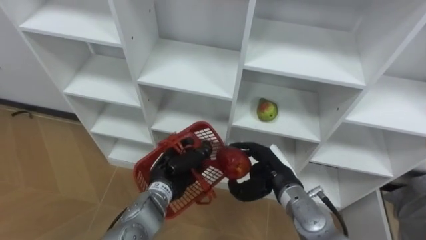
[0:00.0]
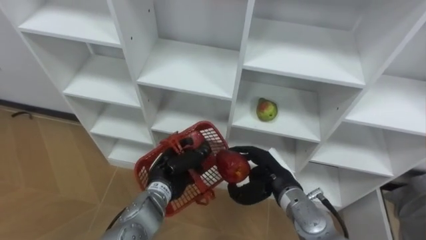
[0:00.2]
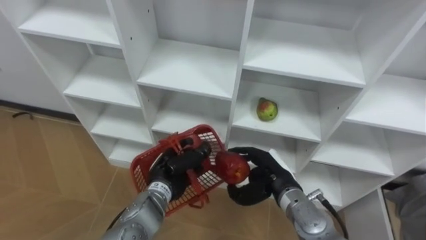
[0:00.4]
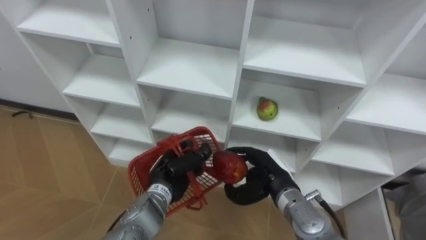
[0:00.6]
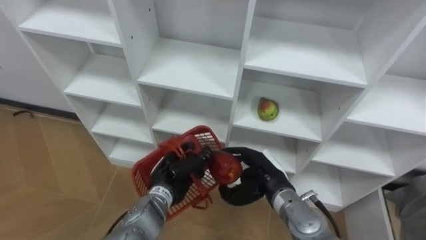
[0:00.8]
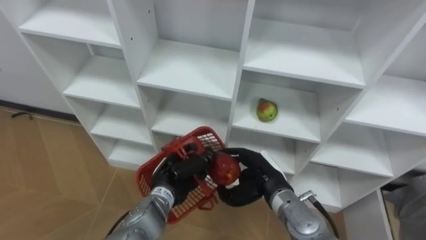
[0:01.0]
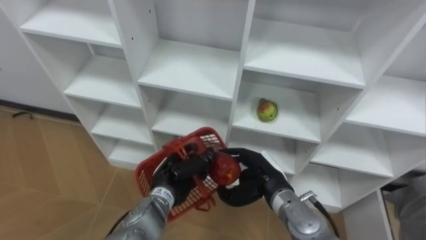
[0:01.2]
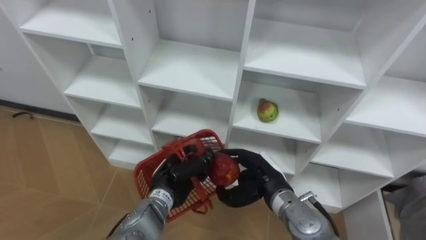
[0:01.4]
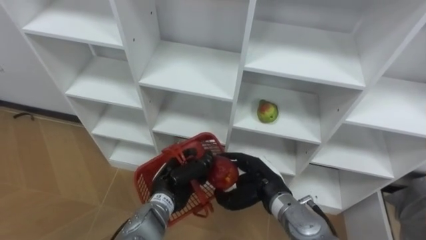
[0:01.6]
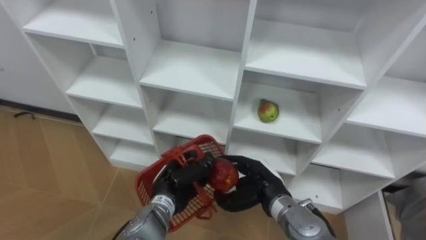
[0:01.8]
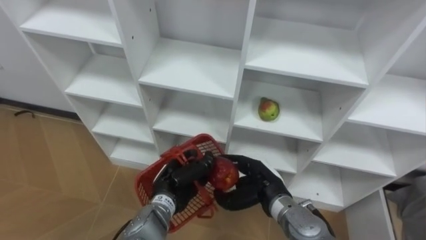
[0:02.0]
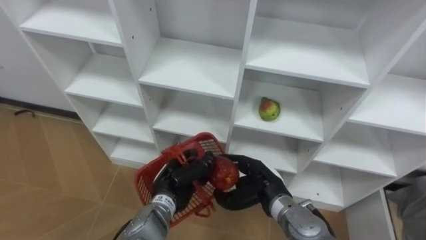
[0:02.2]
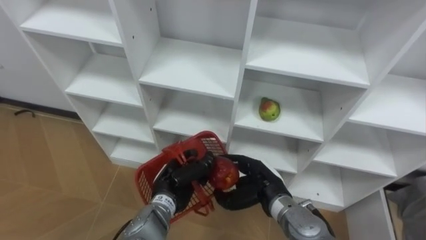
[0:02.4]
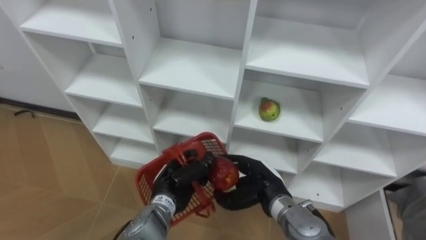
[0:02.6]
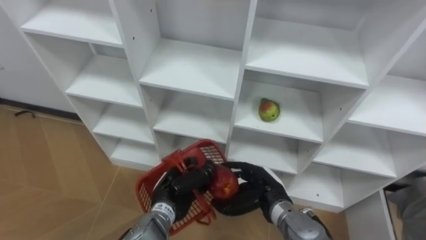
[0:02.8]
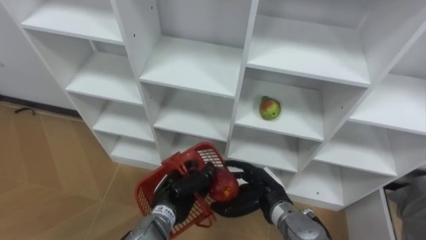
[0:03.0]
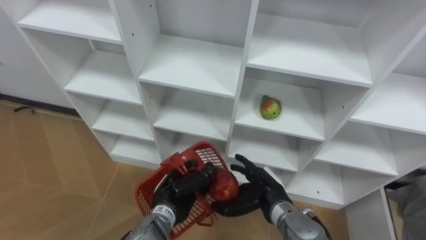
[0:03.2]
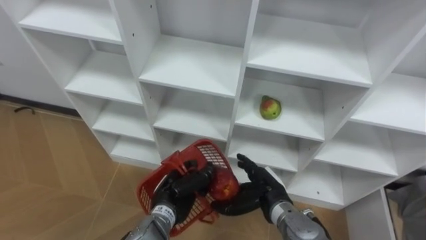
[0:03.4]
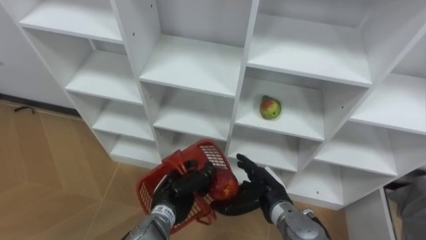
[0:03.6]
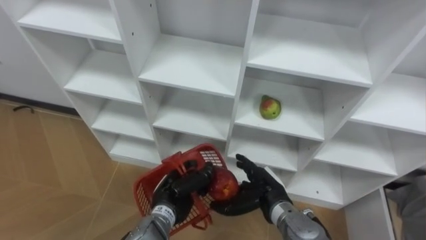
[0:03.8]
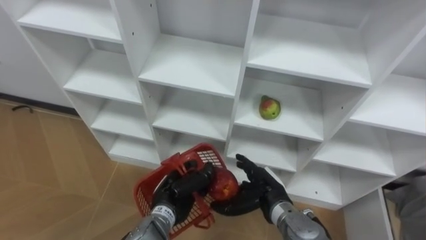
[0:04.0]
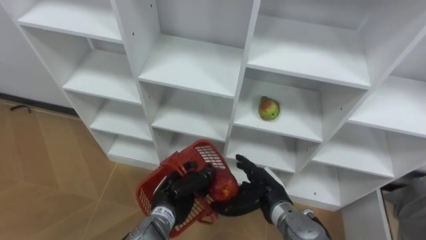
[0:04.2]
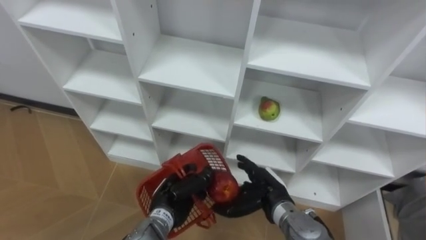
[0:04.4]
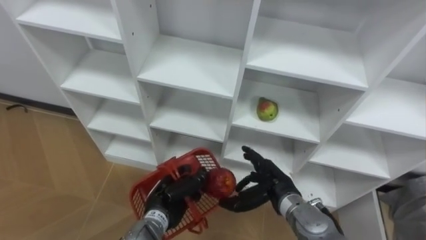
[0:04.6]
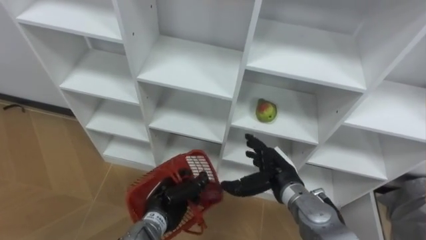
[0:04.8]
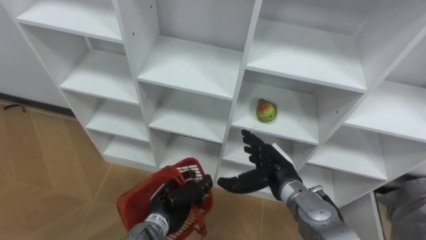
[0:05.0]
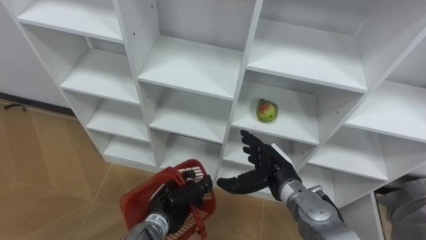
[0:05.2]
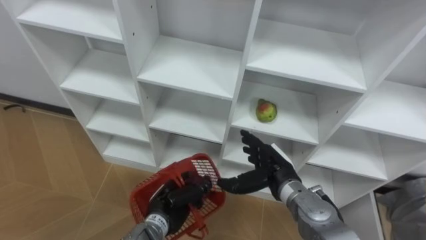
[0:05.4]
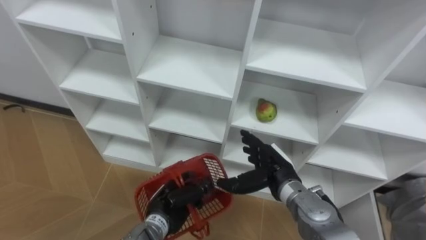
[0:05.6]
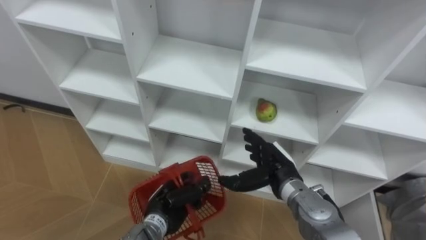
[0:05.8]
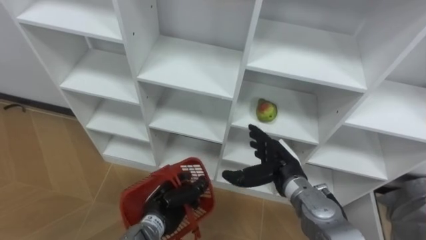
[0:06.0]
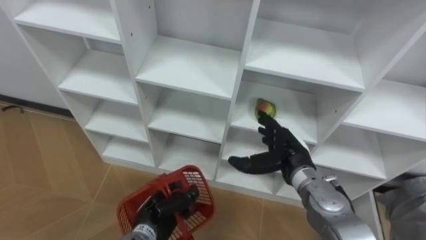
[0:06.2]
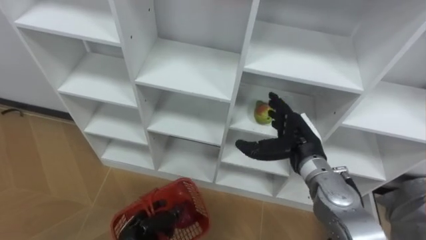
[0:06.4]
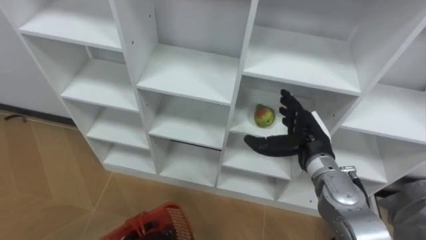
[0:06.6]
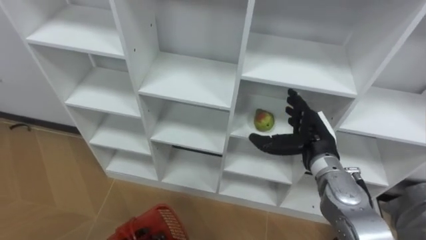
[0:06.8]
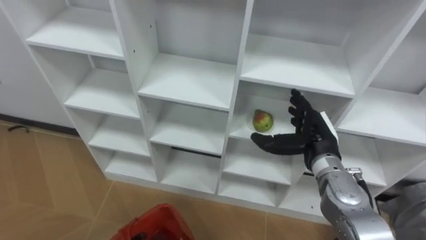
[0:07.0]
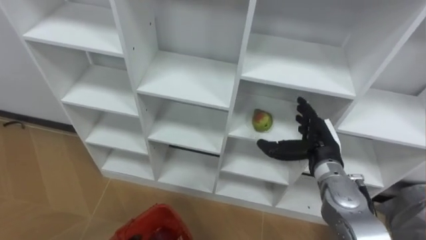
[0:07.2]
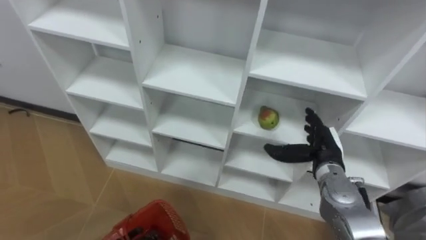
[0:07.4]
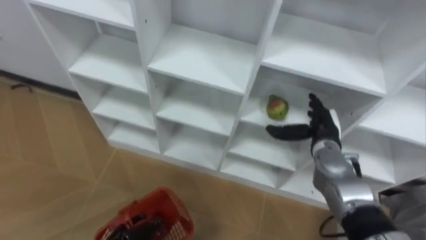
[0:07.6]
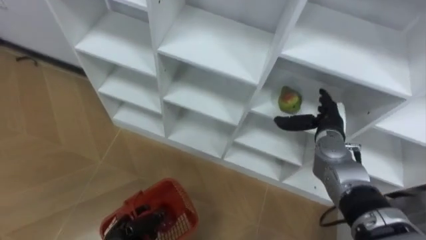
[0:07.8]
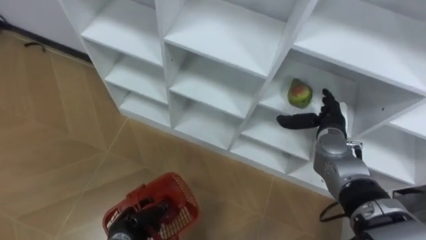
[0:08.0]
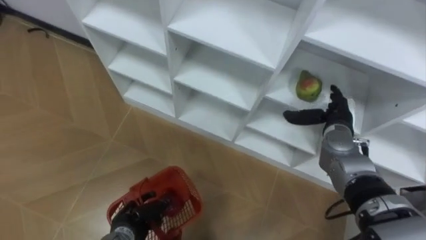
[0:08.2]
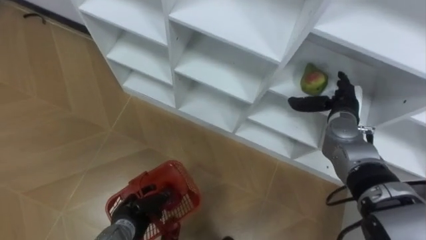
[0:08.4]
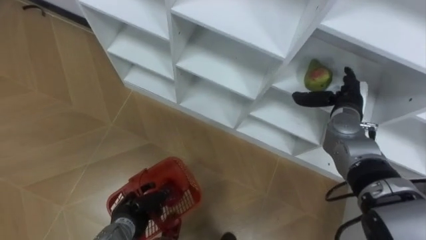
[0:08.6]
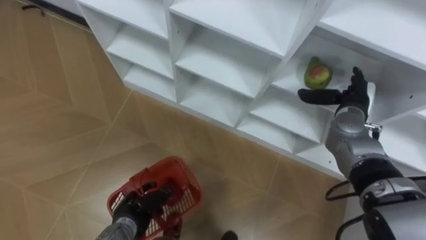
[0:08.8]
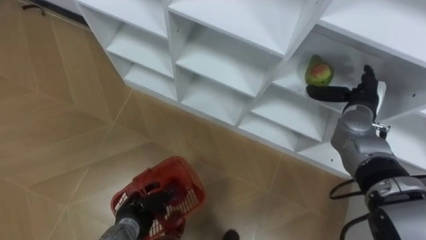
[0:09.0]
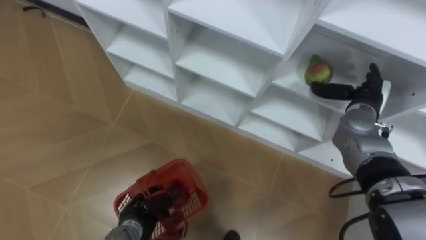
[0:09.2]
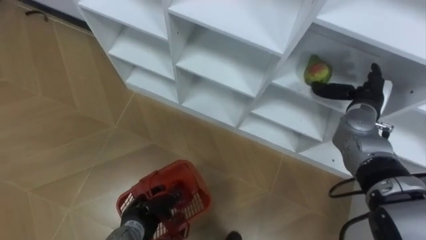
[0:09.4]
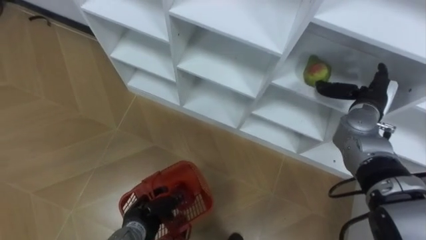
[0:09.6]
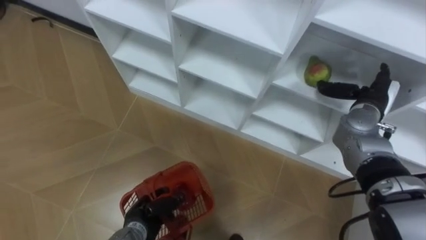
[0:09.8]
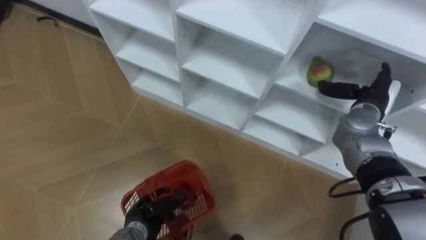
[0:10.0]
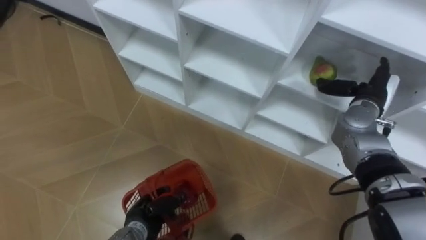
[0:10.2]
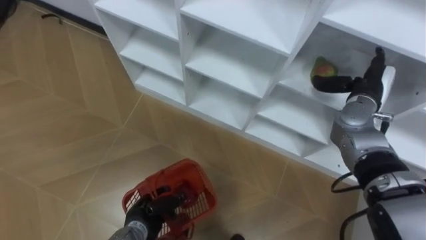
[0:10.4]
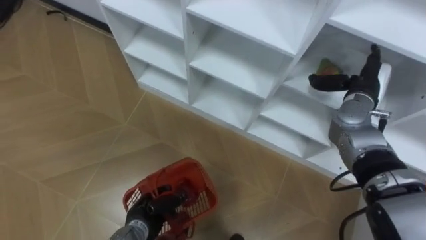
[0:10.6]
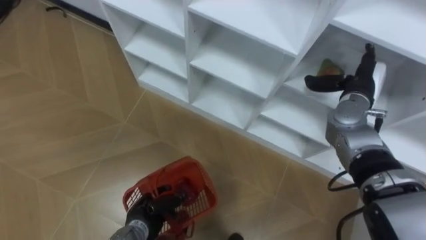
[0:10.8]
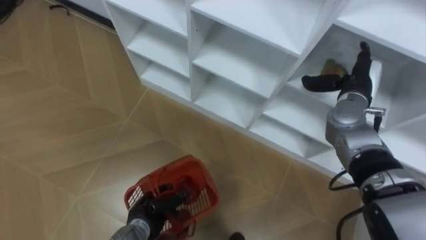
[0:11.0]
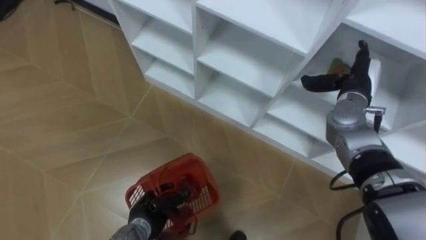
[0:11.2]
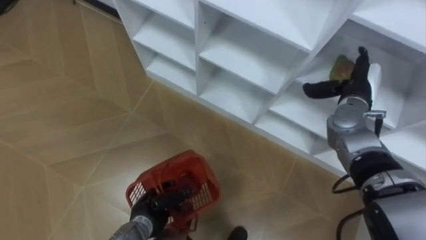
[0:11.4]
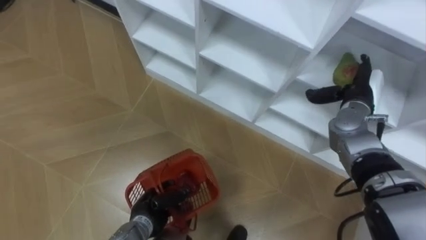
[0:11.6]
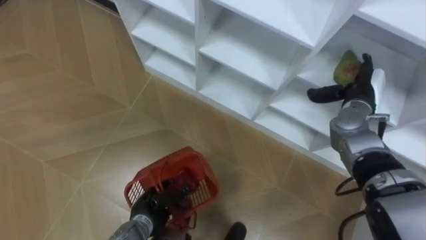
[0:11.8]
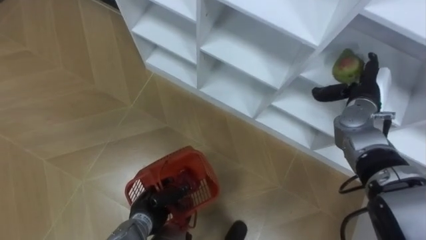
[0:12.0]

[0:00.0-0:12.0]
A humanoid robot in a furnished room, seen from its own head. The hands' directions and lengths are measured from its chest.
Task of the whole recording: Hold the basket and collect the fruits from 3 different cells of the closet into it.
0:00.0 to 0:01.6: The hands move only a little.
0:03.0 to 0:04.4: The right hand opens up.
0:04.4 to 0:06.0: The right hand changes place by roughly 5 cm.
0:06.0 to 0:07.6: The right hand travels to the right and forward by approximately 10 cm.
0:07.6 to 0:09.0: The right hand heads to the right, covering about 5 cm.

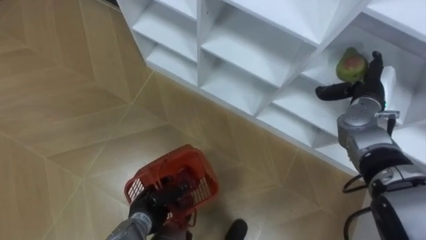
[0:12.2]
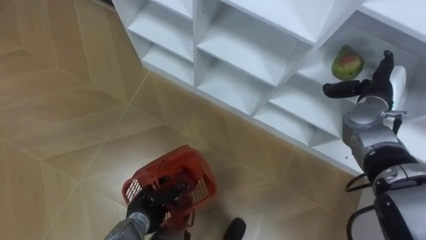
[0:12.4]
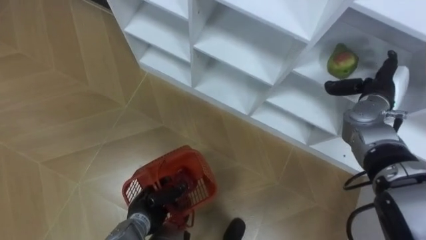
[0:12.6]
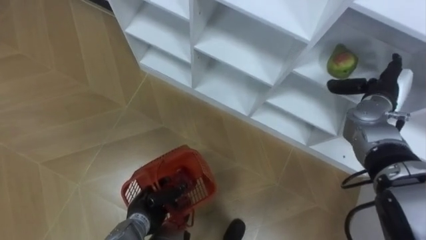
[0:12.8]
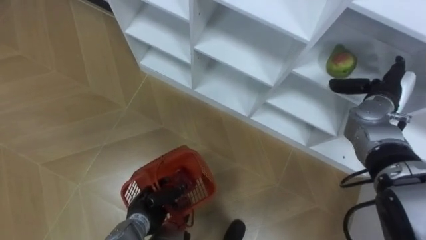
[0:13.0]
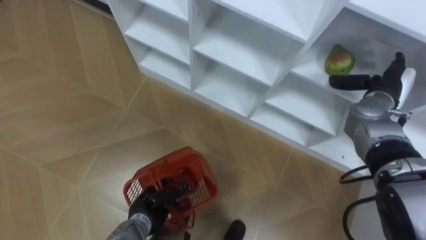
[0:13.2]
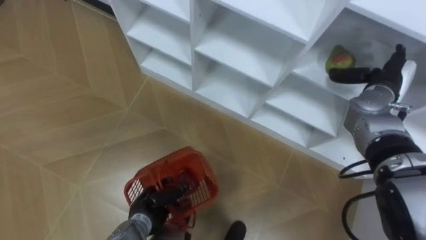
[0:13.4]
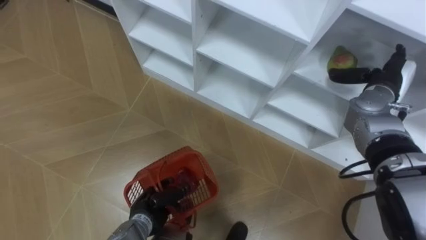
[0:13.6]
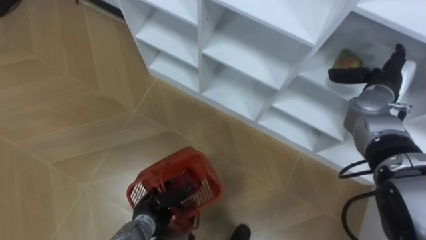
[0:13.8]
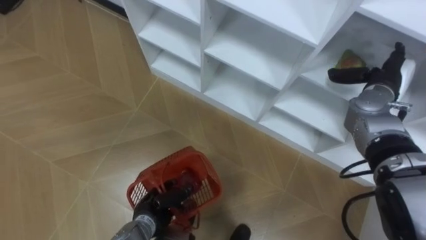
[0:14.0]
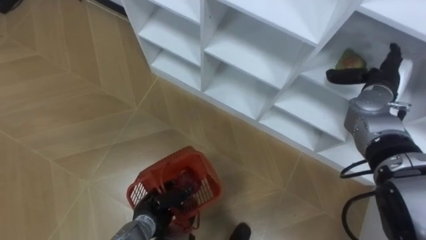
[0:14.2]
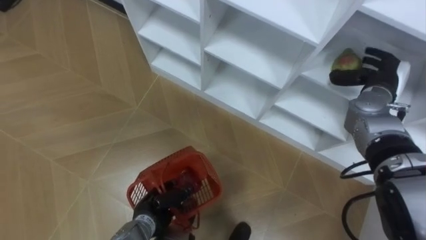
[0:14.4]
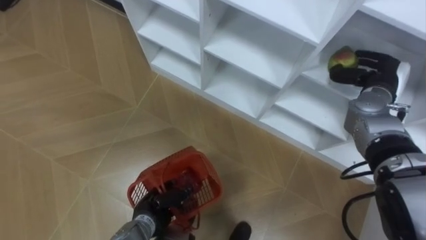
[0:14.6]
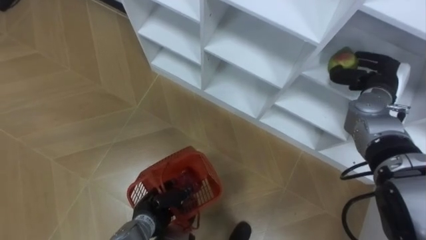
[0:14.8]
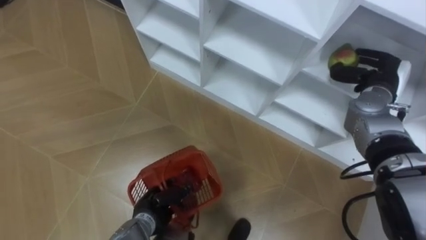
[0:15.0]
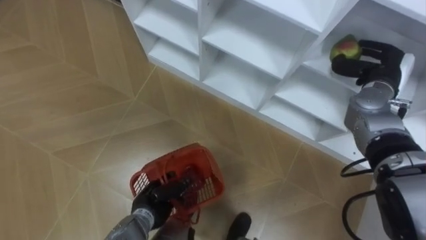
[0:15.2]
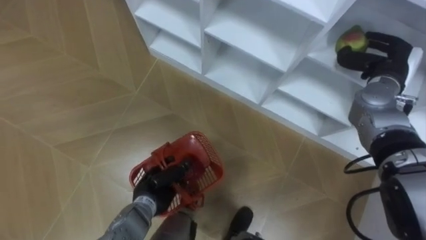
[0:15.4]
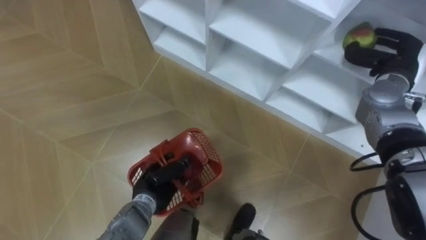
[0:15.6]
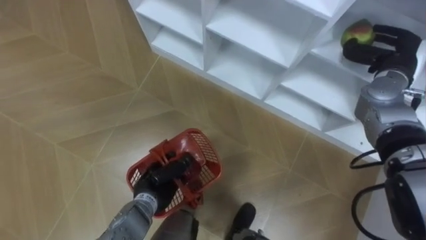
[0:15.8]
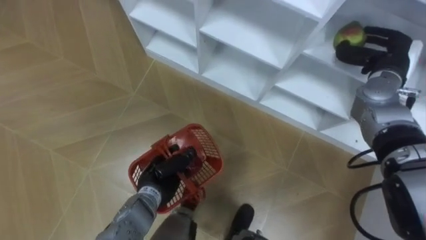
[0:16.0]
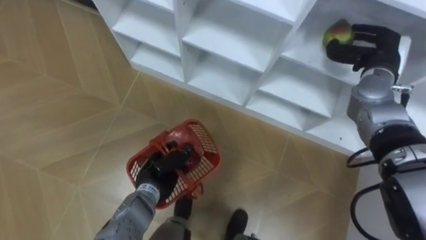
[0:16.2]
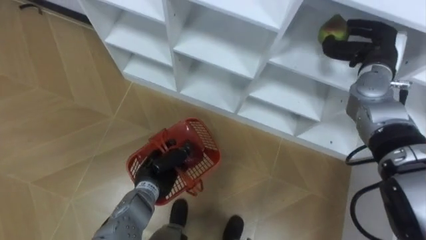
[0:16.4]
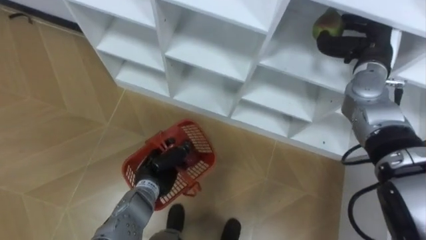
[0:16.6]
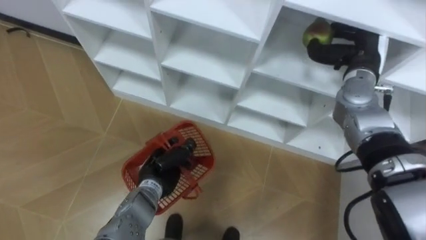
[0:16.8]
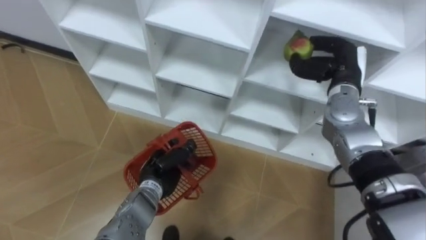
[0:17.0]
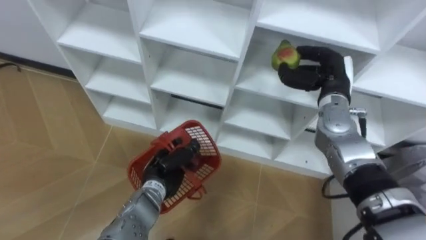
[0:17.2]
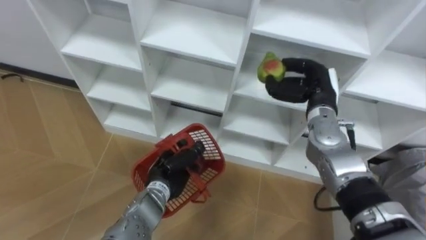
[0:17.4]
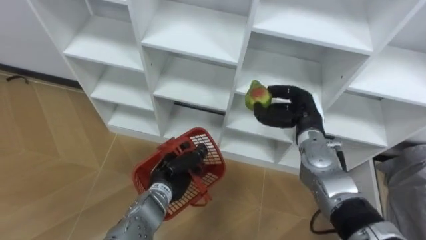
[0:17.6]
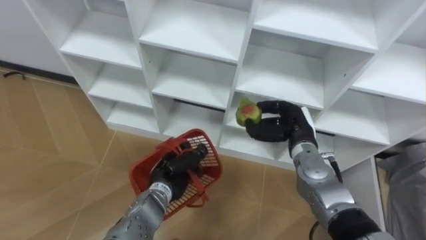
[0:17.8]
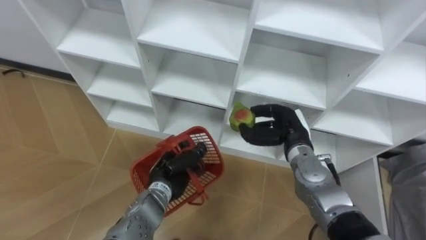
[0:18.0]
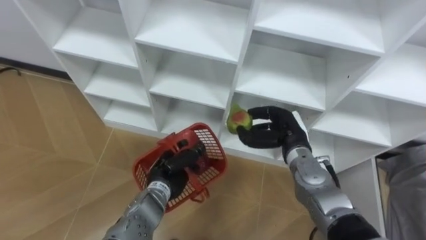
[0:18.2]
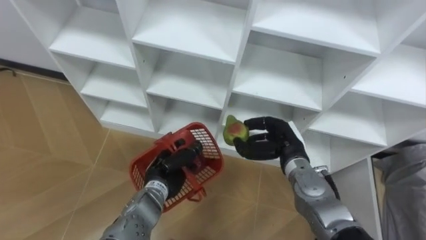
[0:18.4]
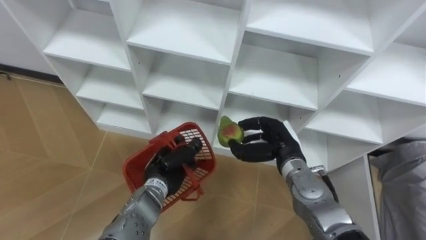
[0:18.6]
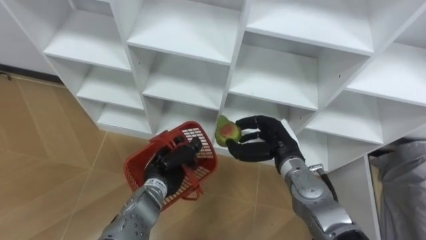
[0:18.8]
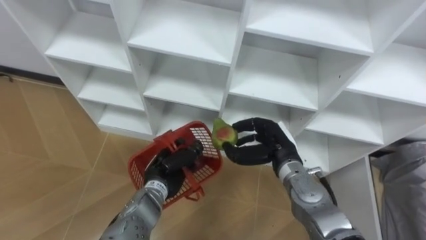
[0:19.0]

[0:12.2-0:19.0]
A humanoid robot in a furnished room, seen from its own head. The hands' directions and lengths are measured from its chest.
Task of the whole recording: Hold the basket and collect the fruits from 3 different cells of the closet into it.
0:13.6 to 0:15.0: The right hand closes.
0:15.0 to 0:16.2: The left hand shifts approximately 10 cm upward and forward.
0:16.2 to 0:17.6: The right hand moves to the left, downward and backward, approximately 15 cm.
0:17.6 to 0:19.0: The right hand is displaced to the left by about 5 cm.
